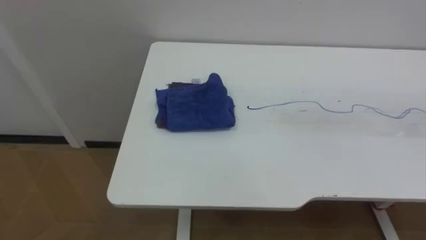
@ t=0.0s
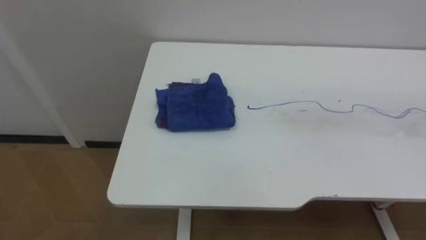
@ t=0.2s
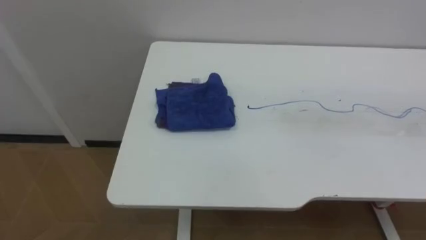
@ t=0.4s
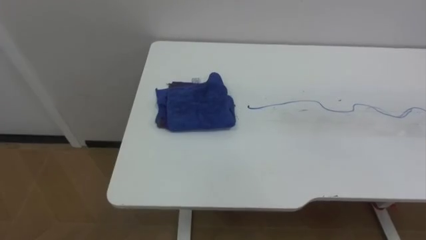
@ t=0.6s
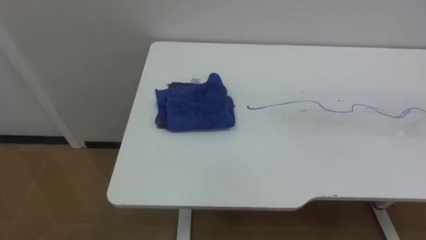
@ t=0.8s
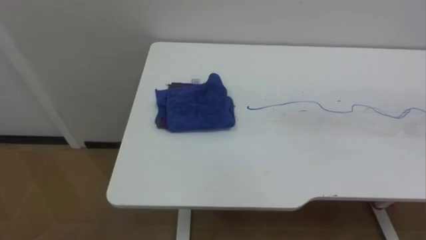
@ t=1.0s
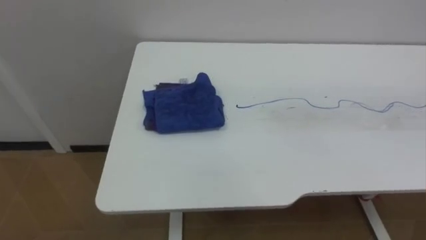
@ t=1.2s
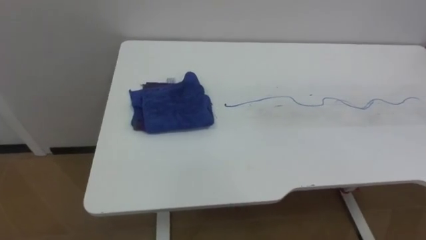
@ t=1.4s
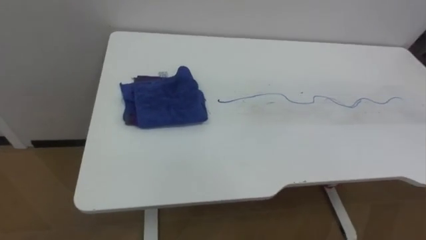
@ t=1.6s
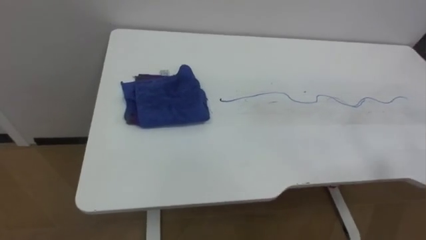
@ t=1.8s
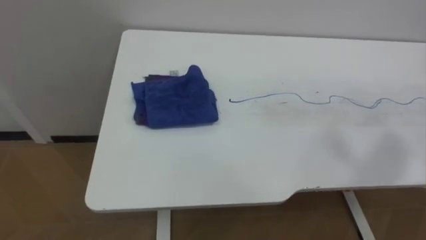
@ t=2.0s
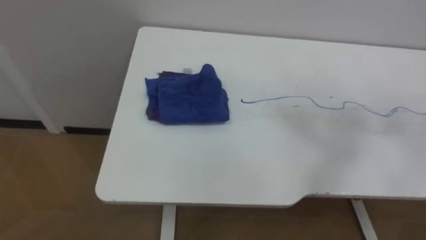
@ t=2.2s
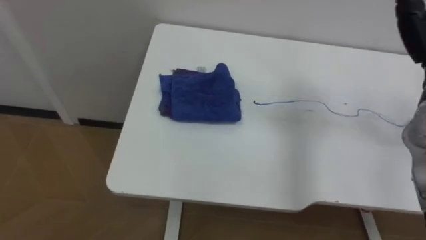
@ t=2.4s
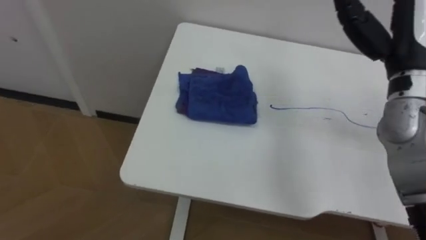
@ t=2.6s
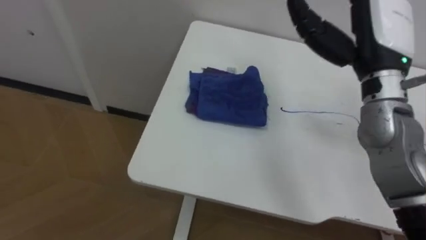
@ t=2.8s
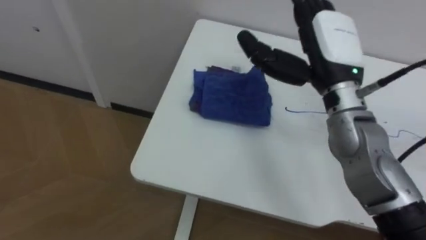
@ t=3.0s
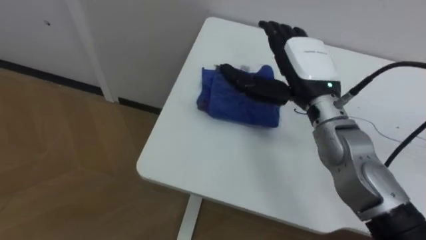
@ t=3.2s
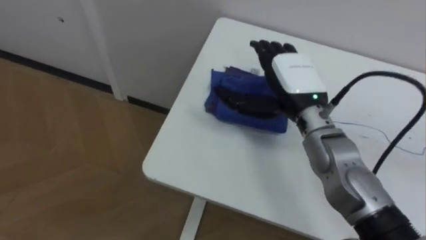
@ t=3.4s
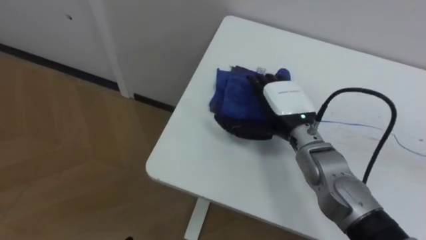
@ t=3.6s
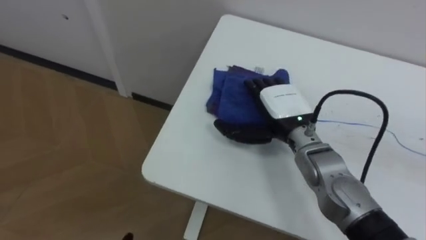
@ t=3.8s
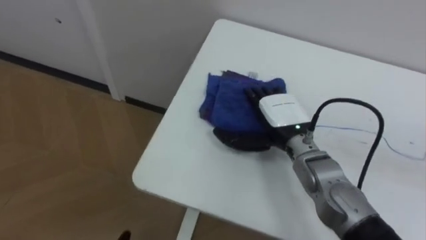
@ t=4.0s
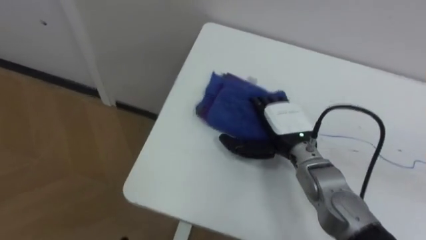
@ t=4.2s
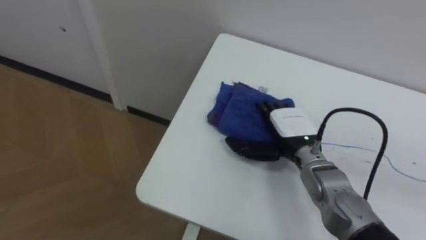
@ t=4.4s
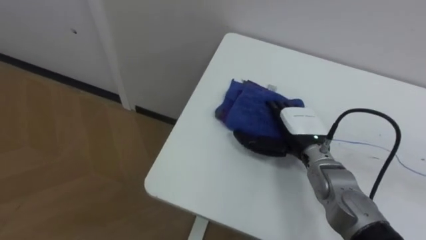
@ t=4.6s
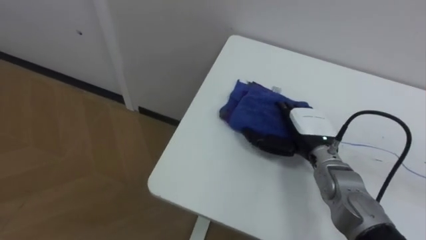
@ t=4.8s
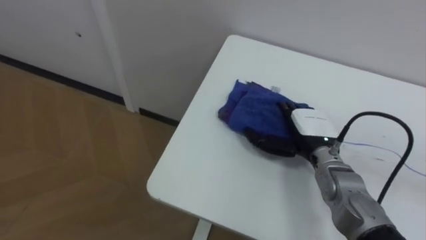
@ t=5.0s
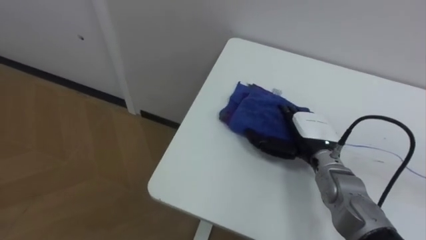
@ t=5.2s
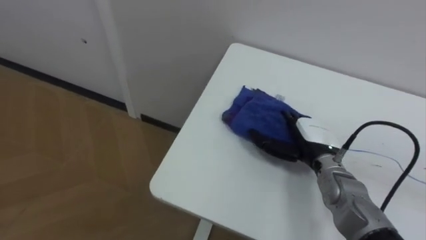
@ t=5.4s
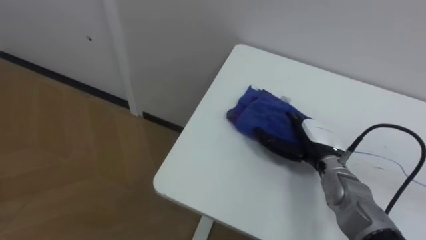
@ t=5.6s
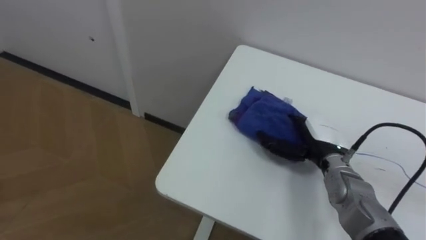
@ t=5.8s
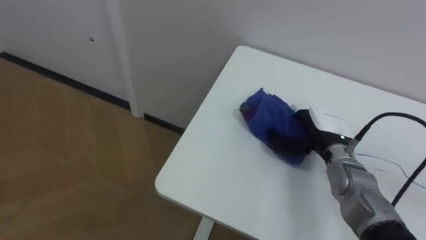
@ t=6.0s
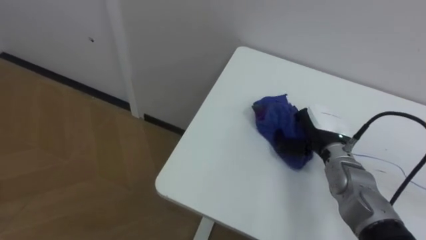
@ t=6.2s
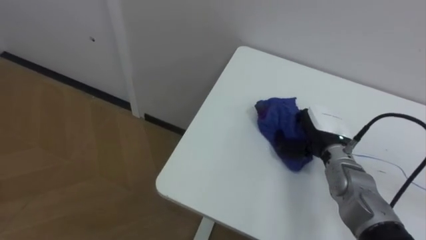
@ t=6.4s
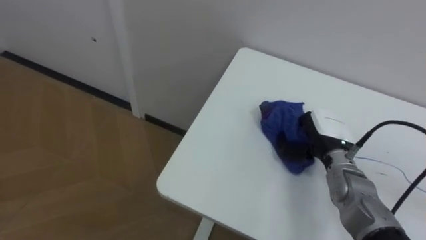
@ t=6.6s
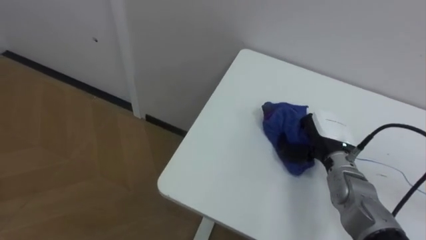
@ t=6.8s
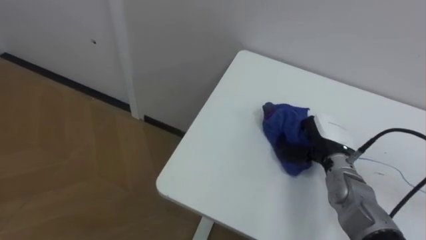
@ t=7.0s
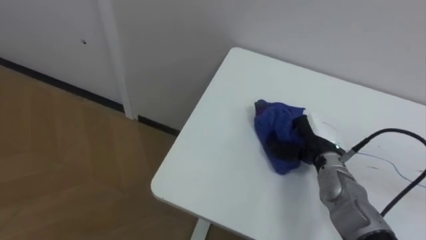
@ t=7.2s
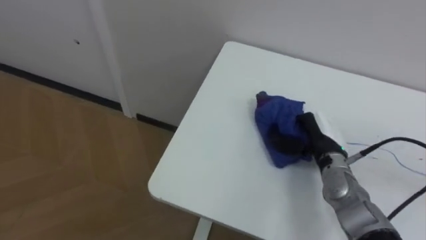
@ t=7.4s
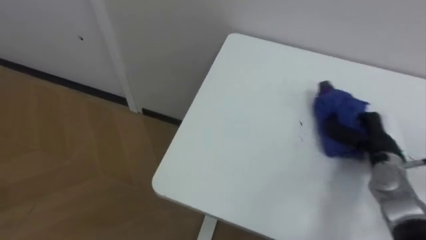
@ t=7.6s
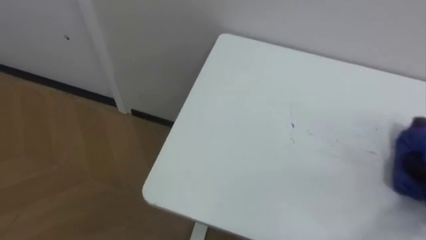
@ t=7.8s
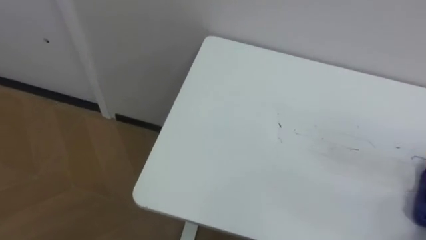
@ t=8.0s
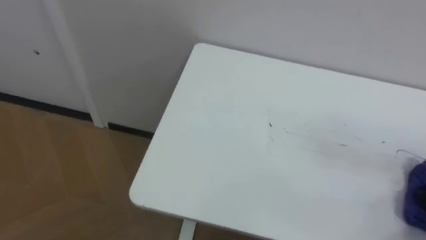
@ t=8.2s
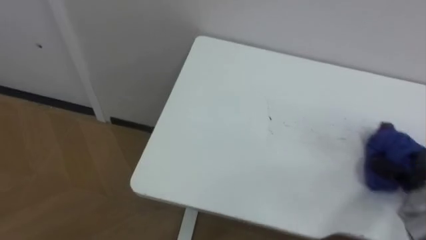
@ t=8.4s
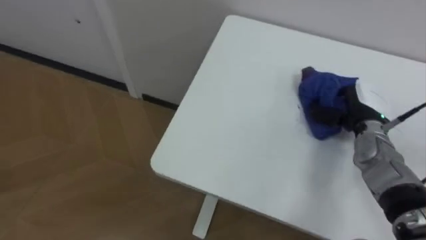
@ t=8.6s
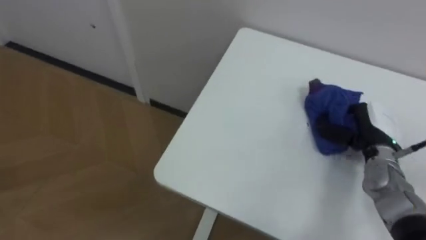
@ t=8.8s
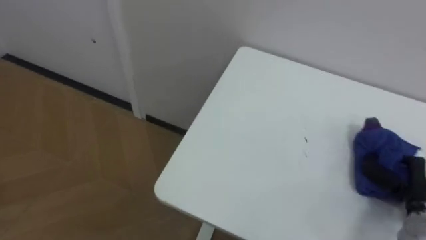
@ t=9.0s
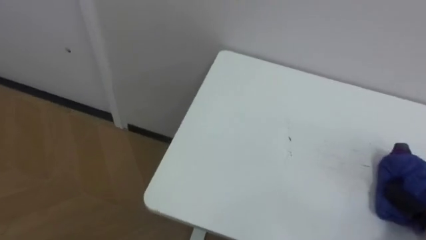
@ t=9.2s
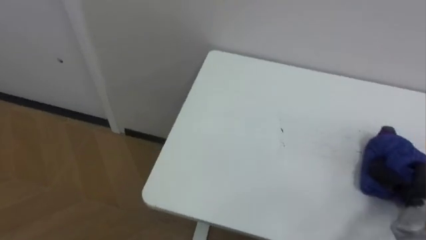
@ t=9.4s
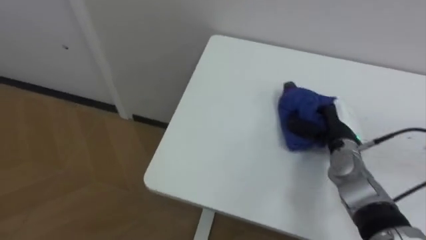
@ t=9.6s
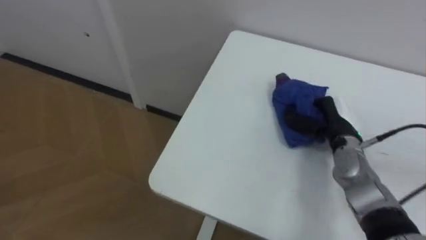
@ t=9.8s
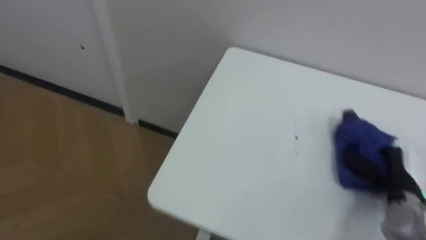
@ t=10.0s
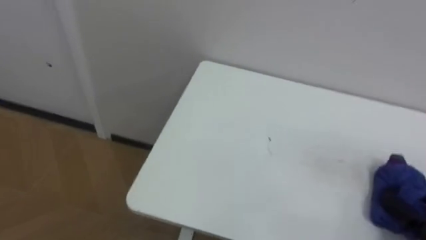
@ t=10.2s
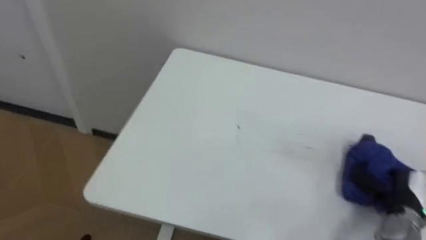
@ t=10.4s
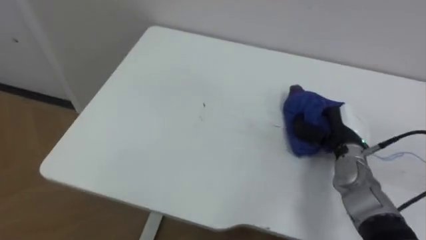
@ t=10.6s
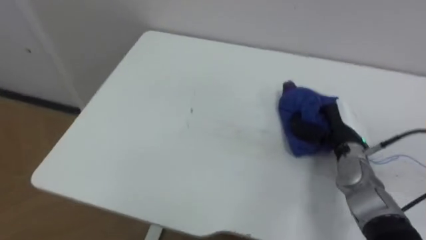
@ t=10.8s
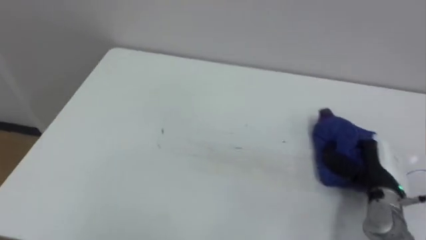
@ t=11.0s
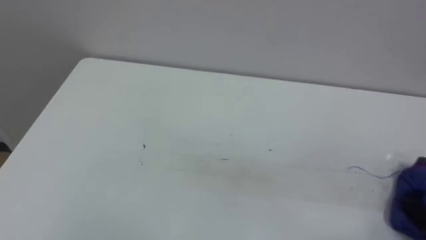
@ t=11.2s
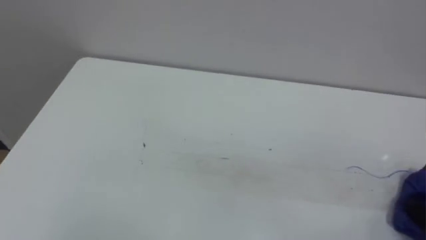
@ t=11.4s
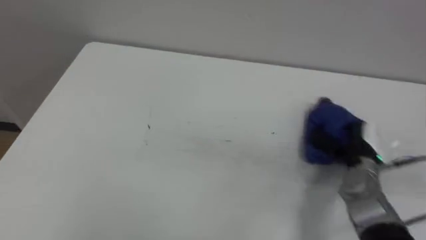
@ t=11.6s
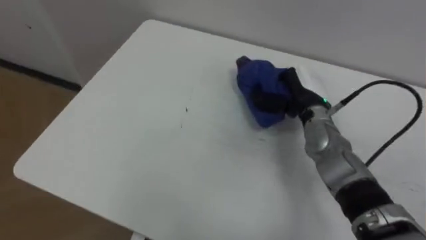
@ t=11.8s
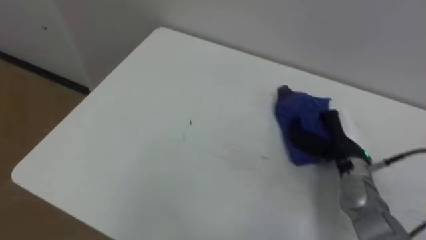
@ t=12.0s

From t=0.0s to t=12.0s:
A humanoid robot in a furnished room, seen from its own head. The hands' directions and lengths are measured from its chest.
Task of the whole recording: Wipe the blue pen marks off the table with the rag.
From t=3.0s to t=4.4s: The right hand travels downward by about 20 cm.
From t=4.4s to t=6.0s: The right hand heads to the right, covering approximately 5 cm, and closes.
From t=6.0s to t=7.6s: The right hand goes some 10 cm to the right, and closes its fingers.

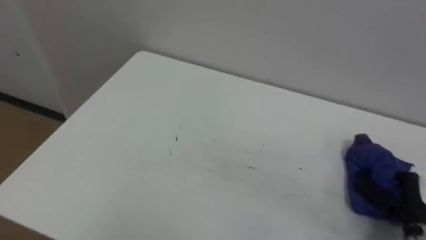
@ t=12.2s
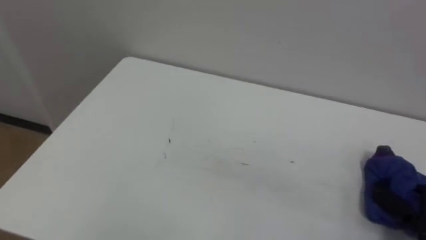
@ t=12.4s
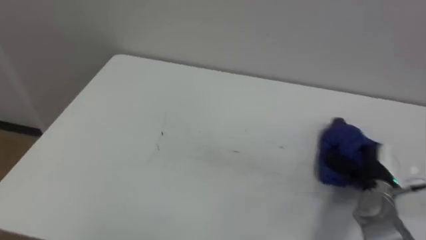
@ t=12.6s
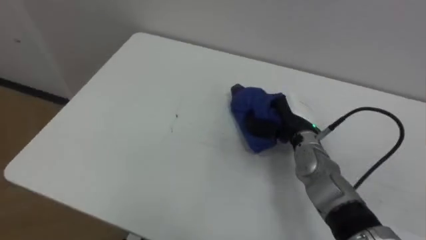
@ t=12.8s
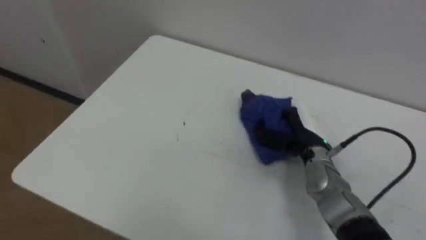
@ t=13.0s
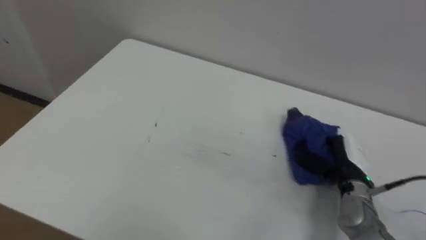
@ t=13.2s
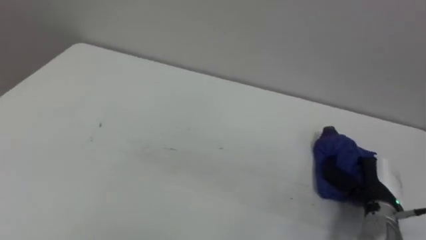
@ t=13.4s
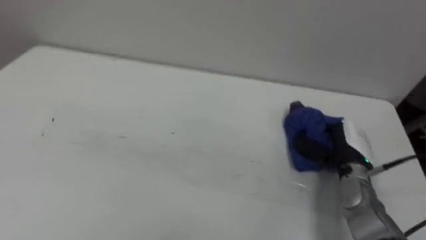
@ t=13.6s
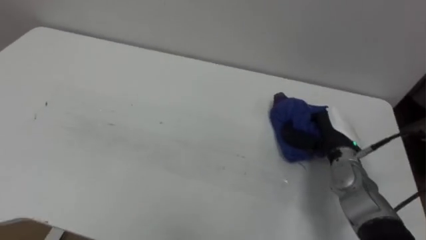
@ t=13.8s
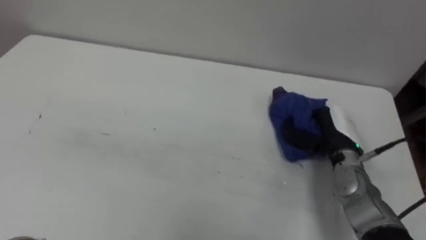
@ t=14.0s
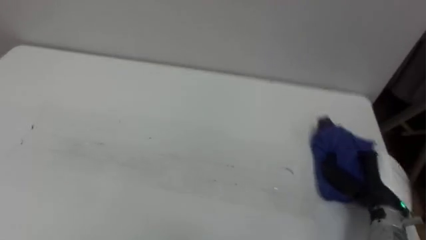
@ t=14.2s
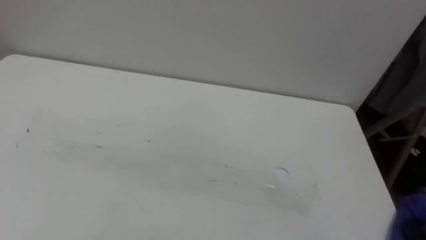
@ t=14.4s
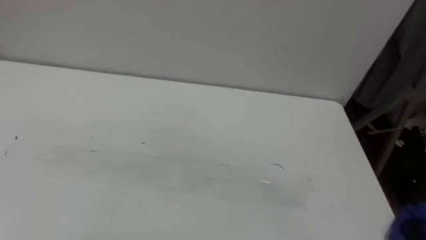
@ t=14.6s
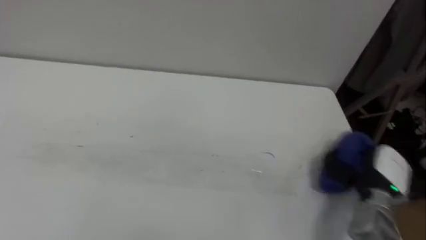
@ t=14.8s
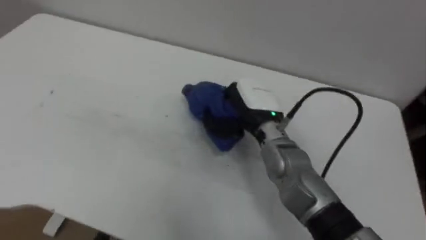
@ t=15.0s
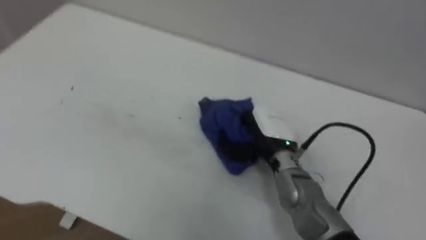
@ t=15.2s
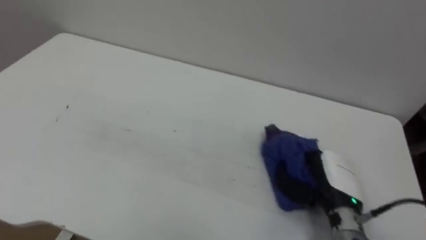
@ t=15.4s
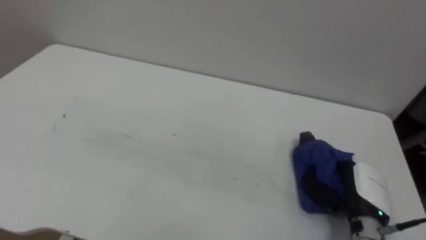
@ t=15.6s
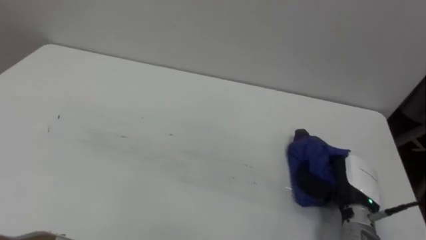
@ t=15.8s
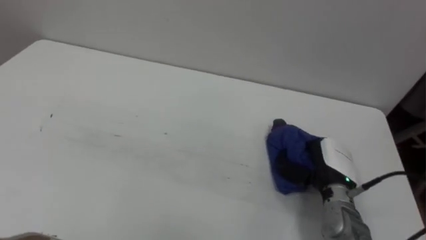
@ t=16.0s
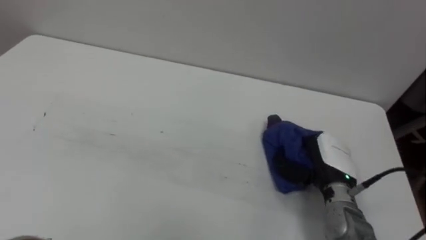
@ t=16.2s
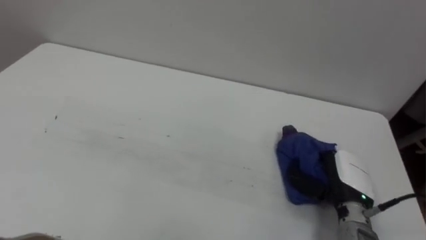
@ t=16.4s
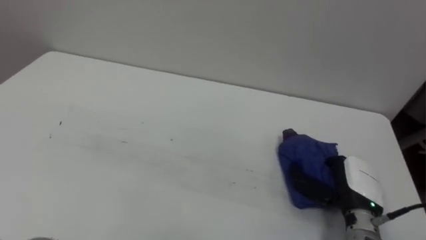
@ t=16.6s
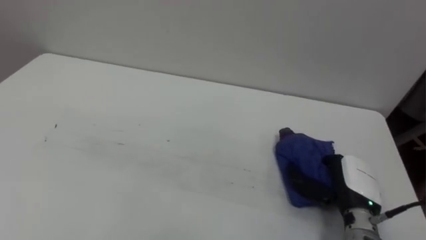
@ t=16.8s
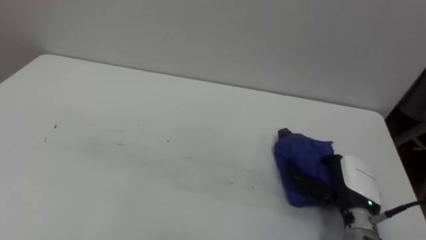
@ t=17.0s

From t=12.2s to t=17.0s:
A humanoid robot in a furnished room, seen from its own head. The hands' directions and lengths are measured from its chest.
Task of the whole recording: Wipe the blue pen marks off the table with the rag.
From t=12.2s to t=13.8s: The right hand goes left and right, roughly 25 cm each way, reversing 2 times.
From t=15.4s to t=17.0s: The right hand opens.
